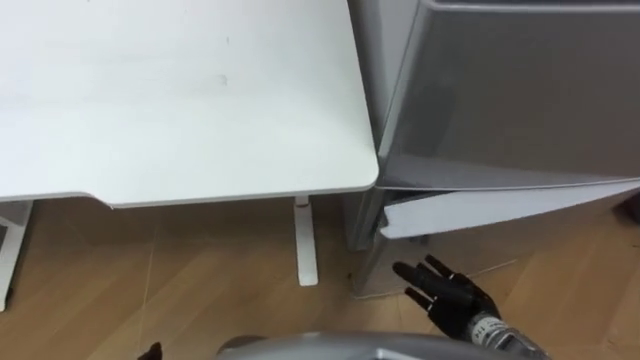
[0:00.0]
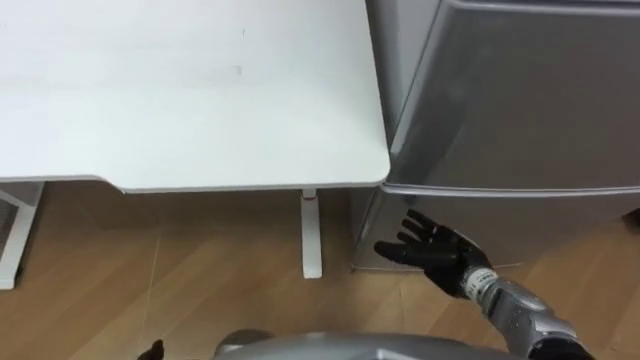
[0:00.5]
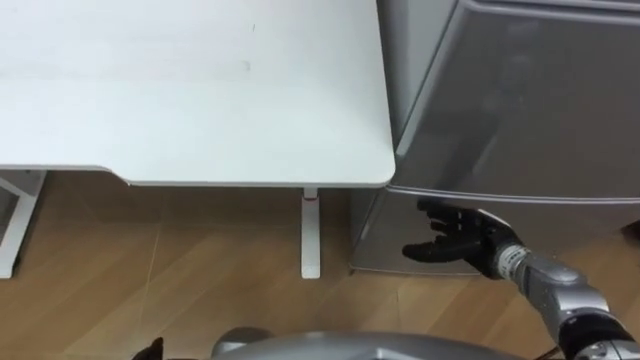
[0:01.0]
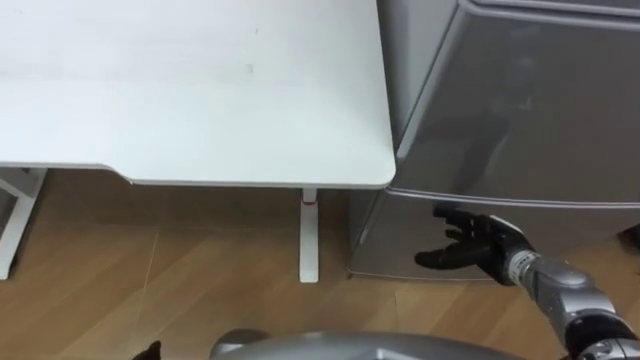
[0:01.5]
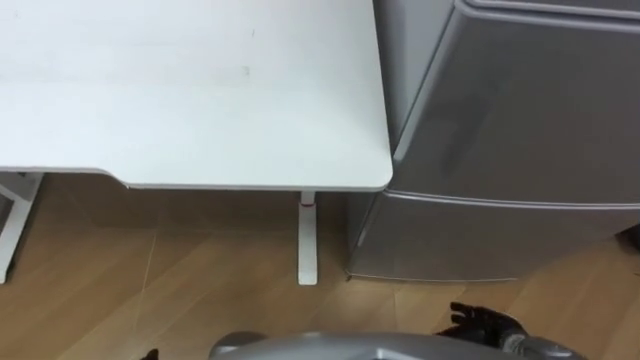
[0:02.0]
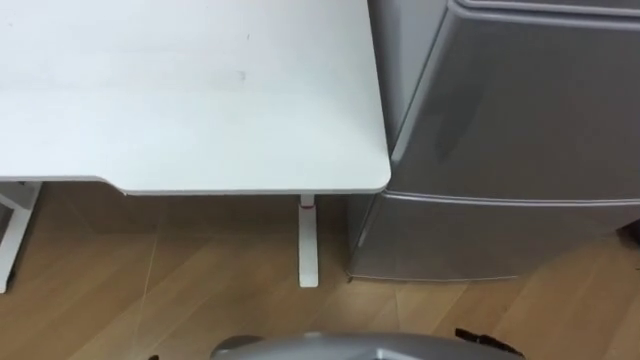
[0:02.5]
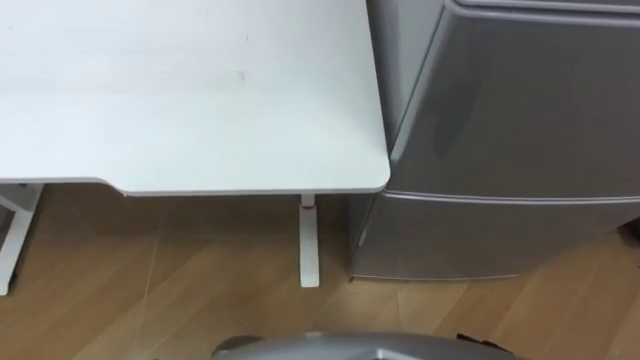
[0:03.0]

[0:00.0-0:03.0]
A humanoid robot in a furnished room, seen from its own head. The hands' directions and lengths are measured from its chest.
Task of the whole recording: Place the drink on the table on the bottom shelf of the refrigerator, then close the drawer and the refrigerator door.
0:00.0 to 0:01.5: The right hand heads forward, covering approximately 10 cm.

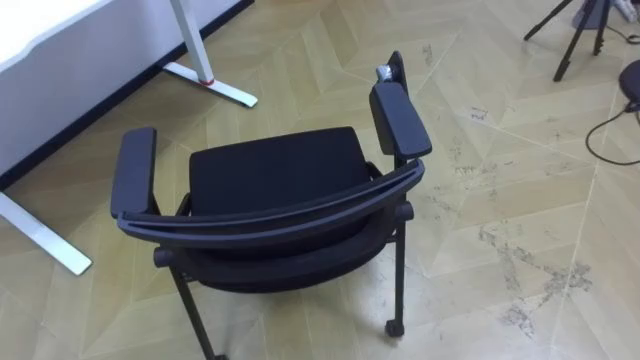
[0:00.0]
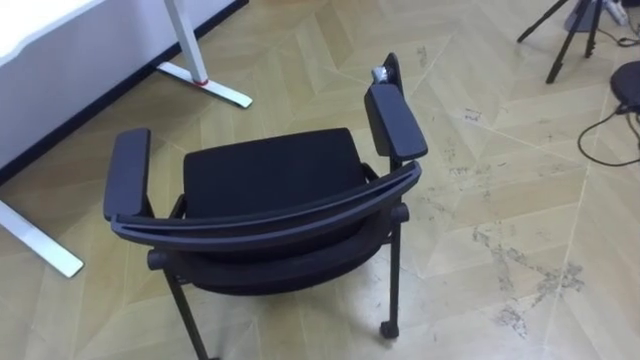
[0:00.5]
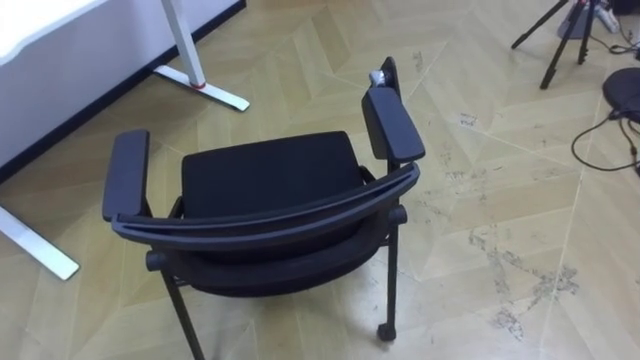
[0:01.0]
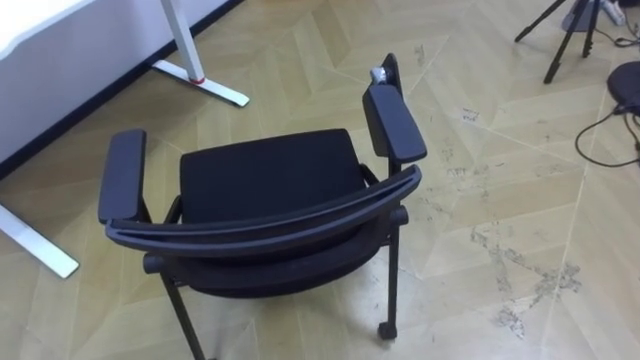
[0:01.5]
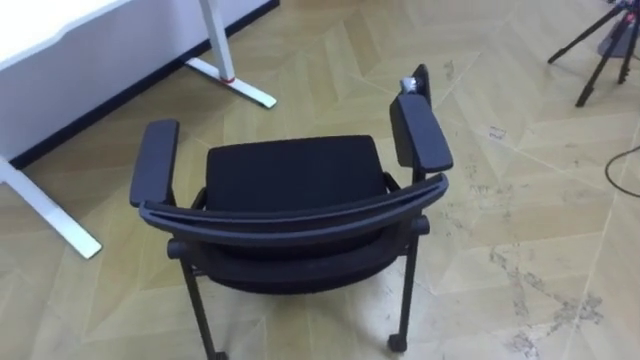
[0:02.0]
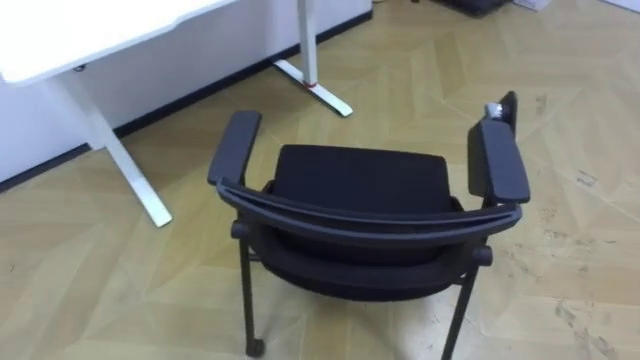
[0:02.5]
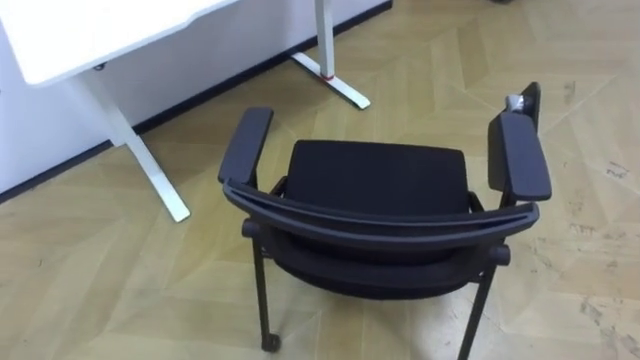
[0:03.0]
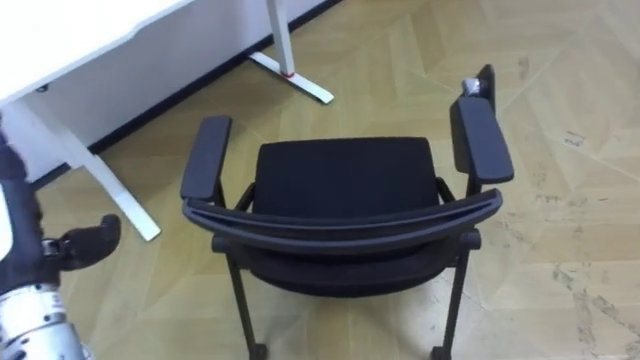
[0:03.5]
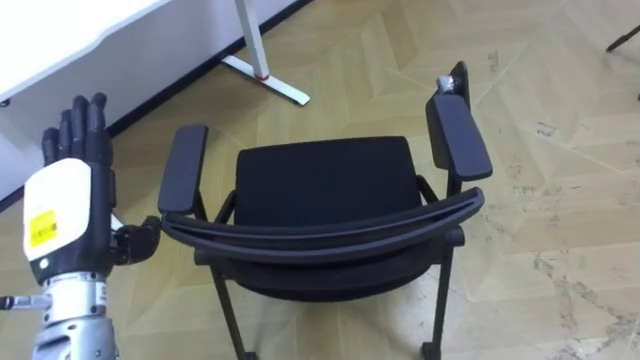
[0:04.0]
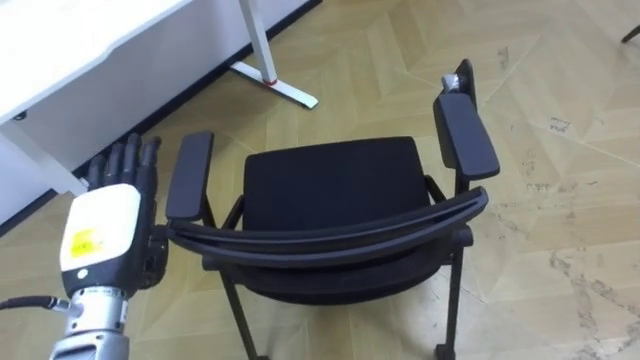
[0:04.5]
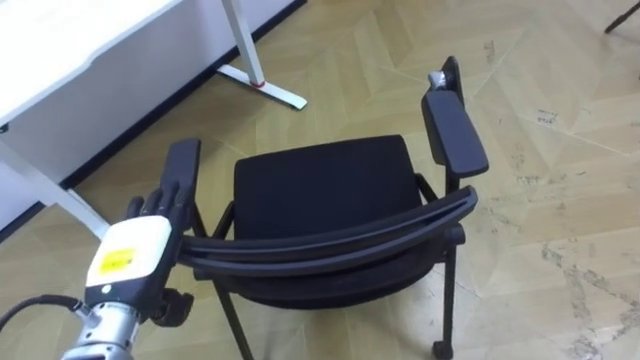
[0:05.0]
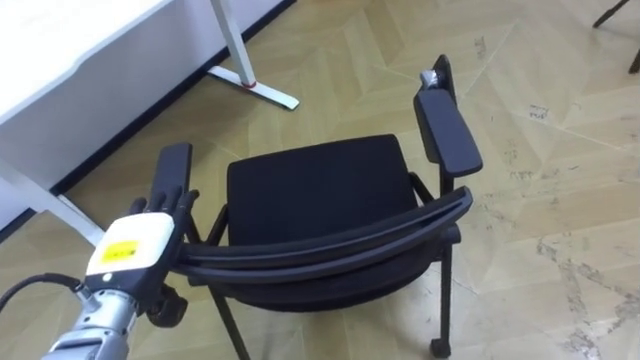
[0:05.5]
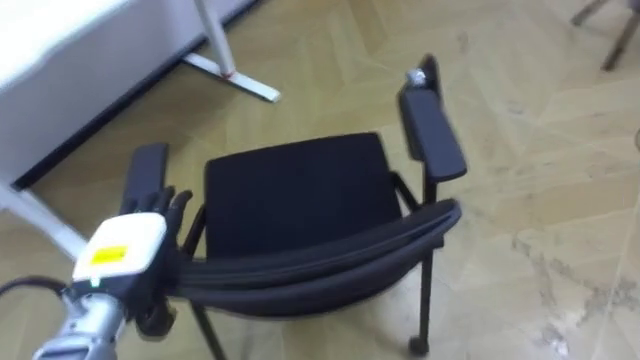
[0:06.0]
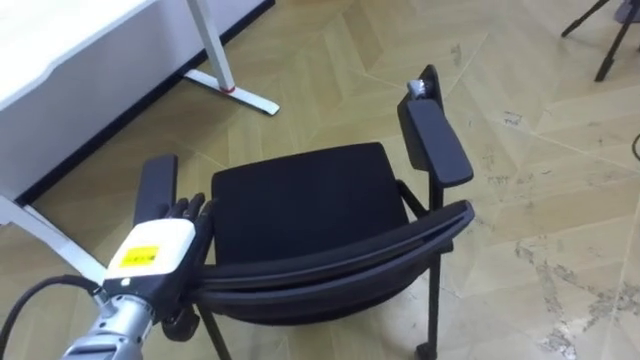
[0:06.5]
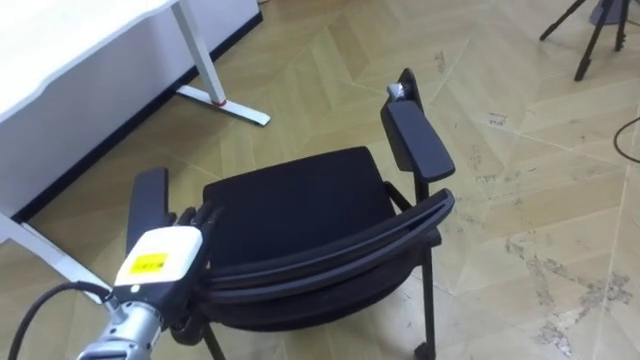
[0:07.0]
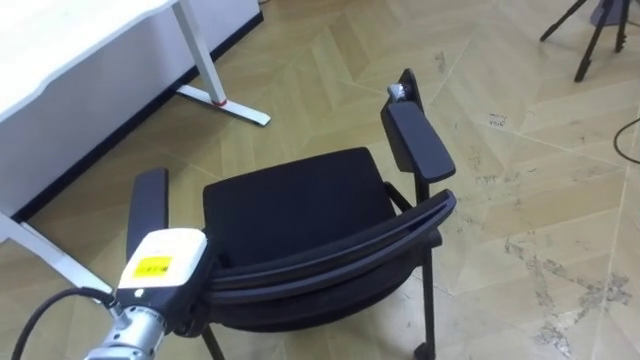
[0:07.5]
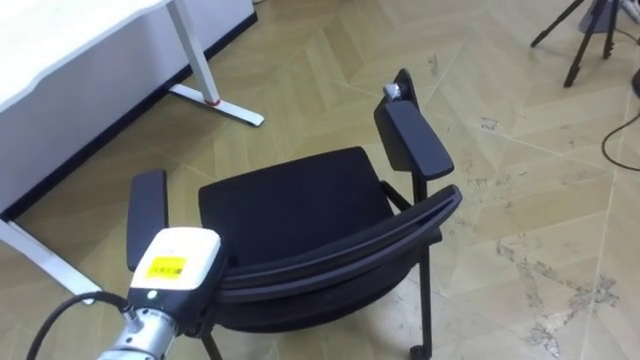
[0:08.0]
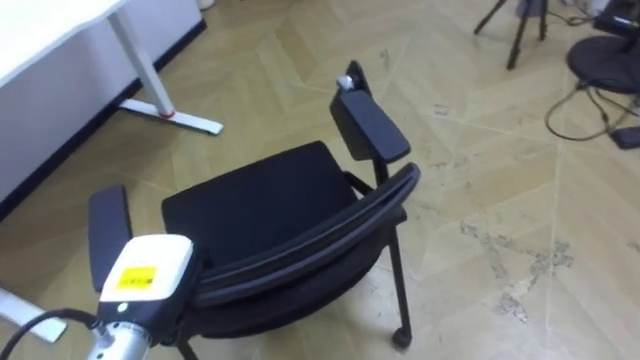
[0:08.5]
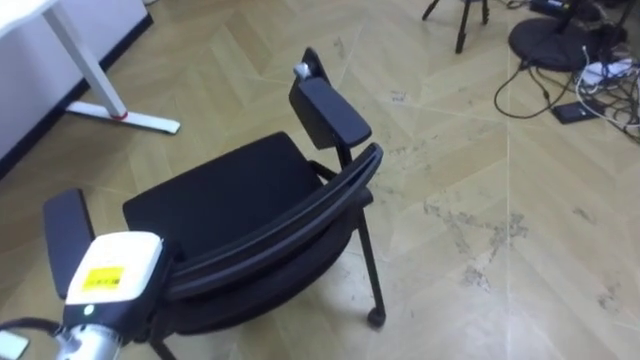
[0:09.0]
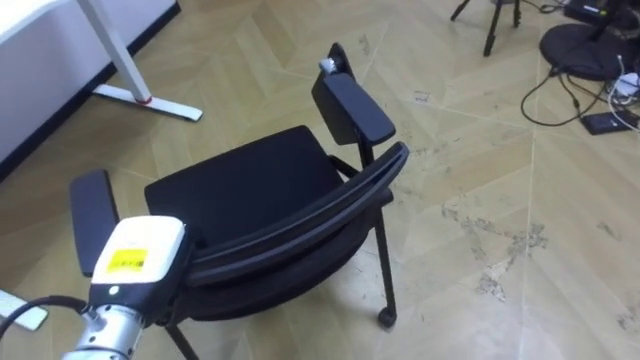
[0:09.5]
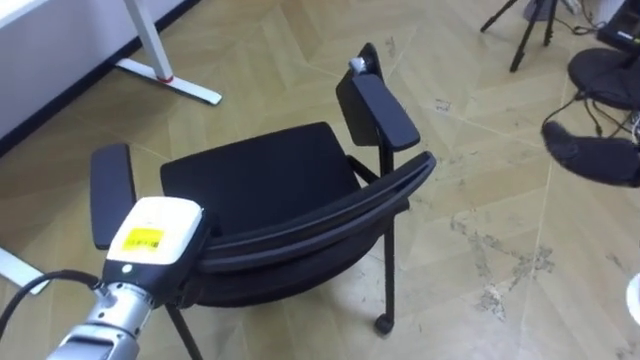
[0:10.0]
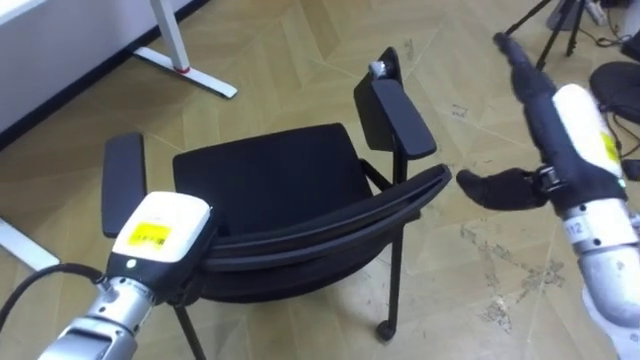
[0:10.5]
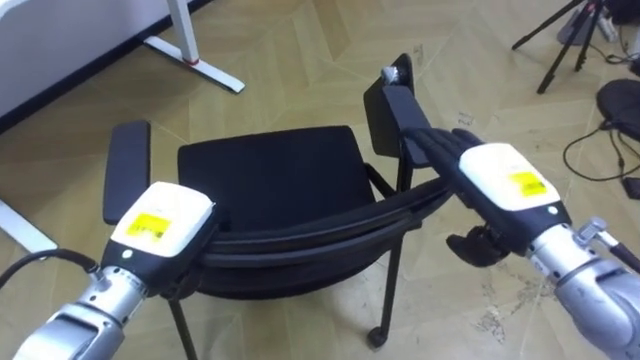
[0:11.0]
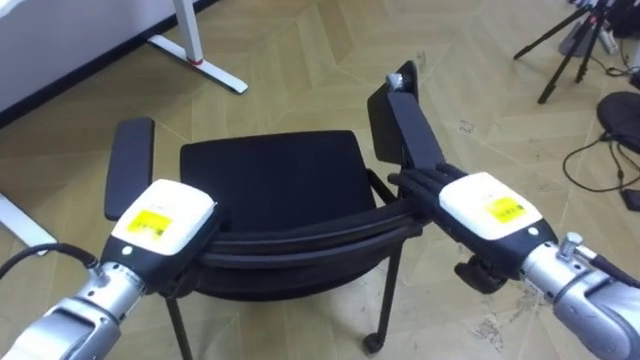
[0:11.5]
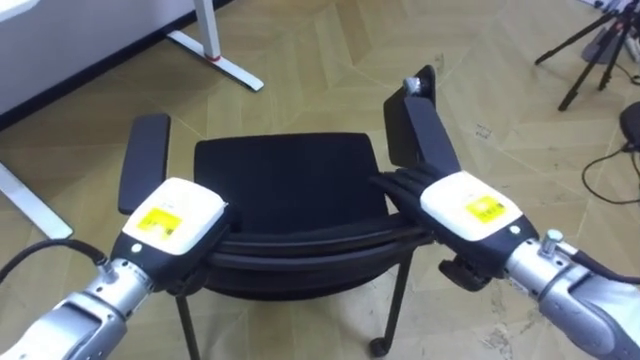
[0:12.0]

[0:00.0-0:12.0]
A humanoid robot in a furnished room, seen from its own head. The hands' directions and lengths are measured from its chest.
Task of the whole recording: Push the chair under the table.
0:04.0 to 0:06.0: The left hand moves downward, approximately 5 cm.
0:06.0 to 0:08.0: The left hand goes some 5 cm to the right, and closes.

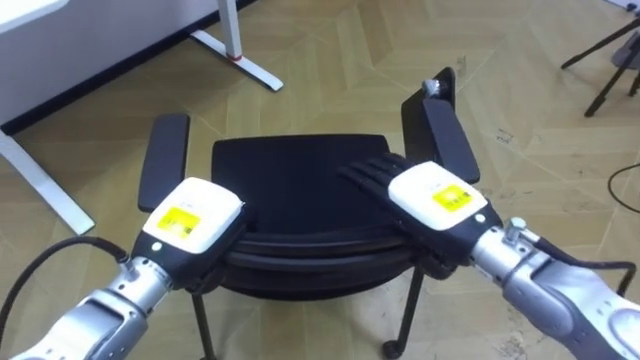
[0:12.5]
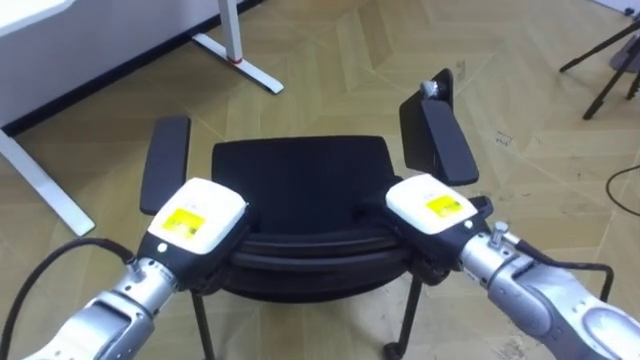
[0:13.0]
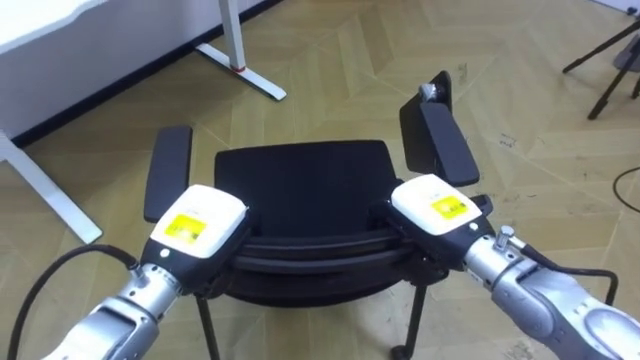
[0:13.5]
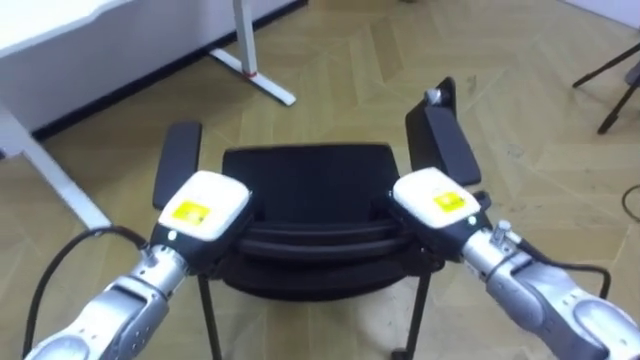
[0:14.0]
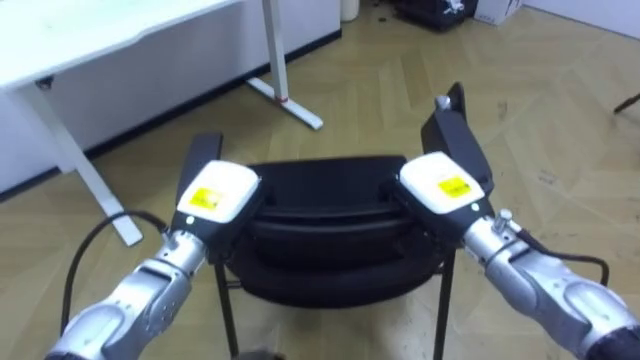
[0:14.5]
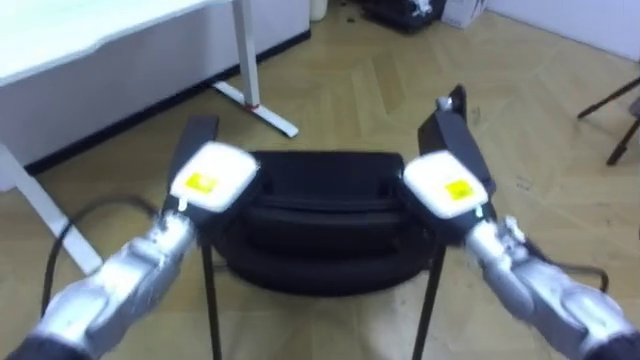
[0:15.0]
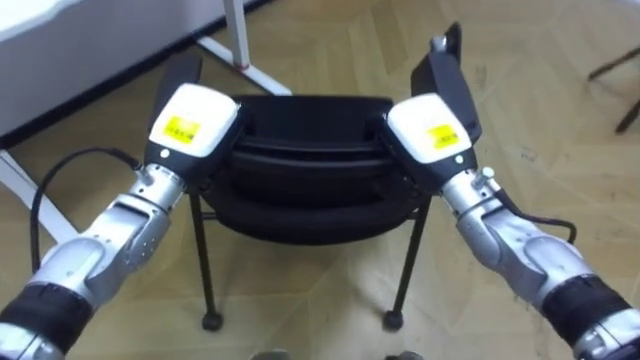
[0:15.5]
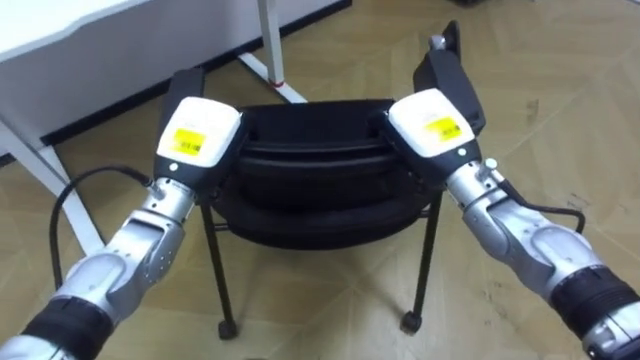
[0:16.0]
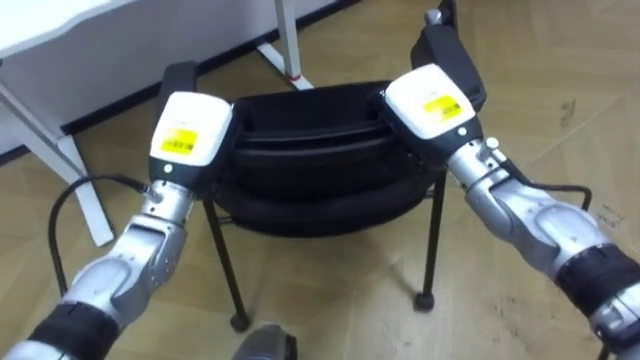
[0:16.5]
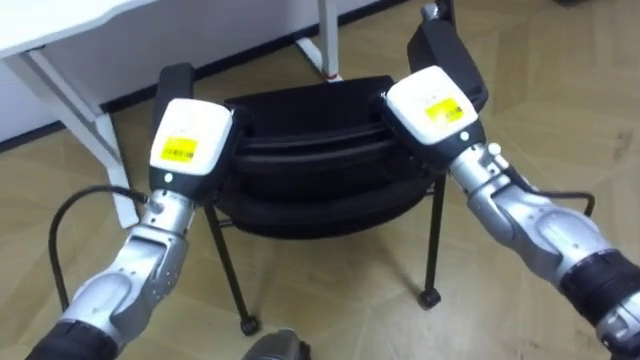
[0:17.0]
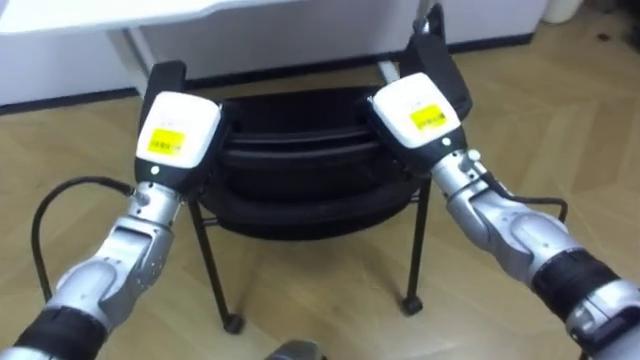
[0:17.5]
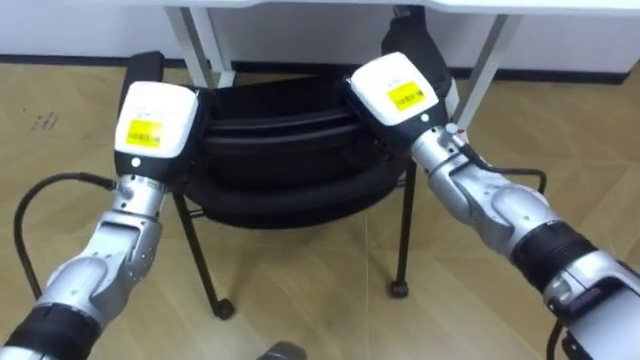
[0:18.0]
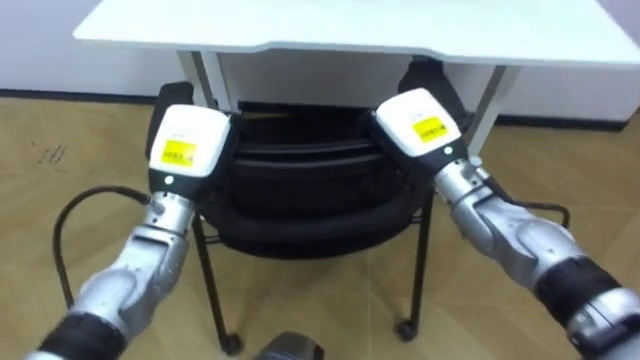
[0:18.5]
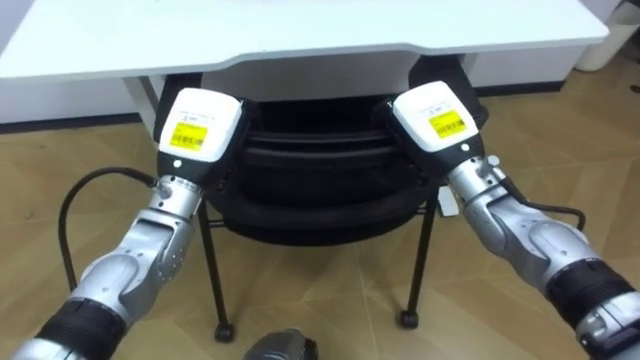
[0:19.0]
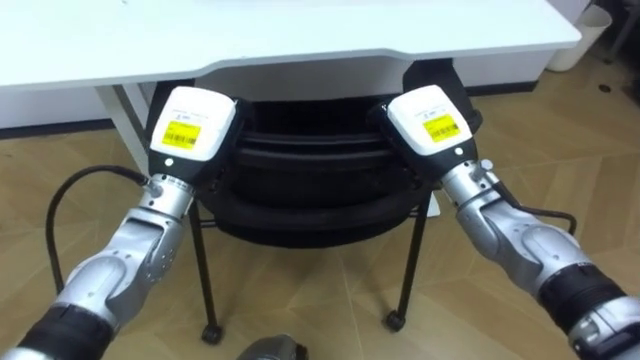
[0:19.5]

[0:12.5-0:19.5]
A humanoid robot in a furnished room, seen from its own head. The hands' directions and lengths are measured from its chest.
Task of the whole recording: Push the chair under the table.
0:12.5 to 0:14.5: The right hand changes place by about 5 cm, and closes up, while the left hand is displaced forward by roughly 5 cm.
0:14.5 to 0:16.0: Both hands travel together upward, approximately 5 cm.
